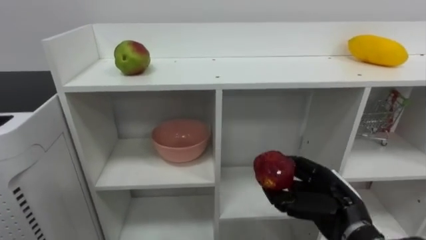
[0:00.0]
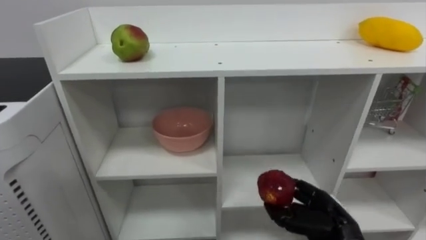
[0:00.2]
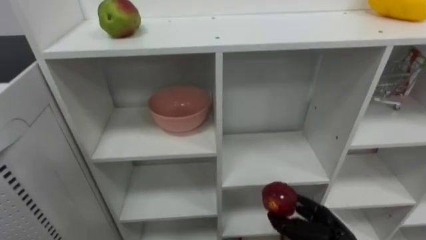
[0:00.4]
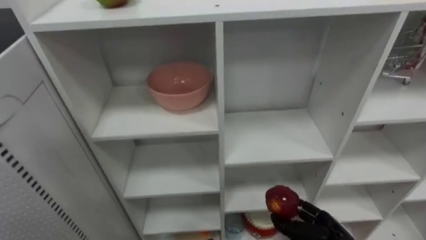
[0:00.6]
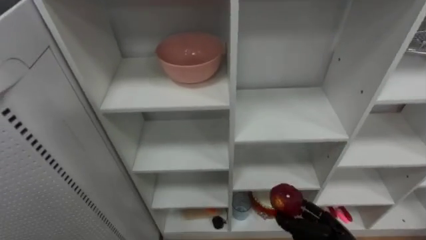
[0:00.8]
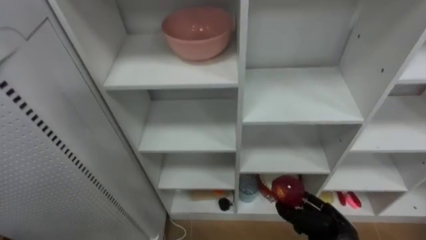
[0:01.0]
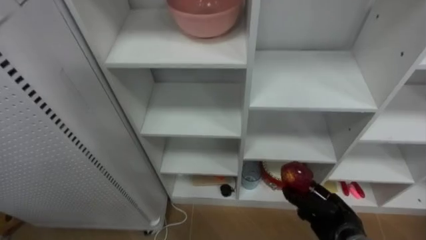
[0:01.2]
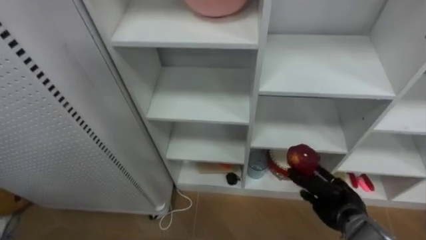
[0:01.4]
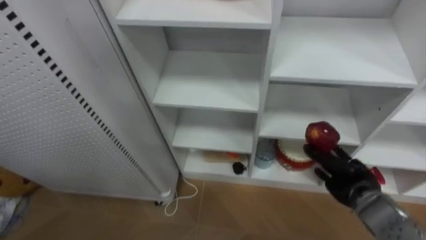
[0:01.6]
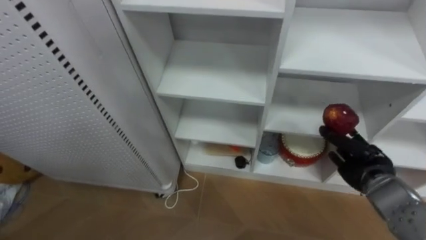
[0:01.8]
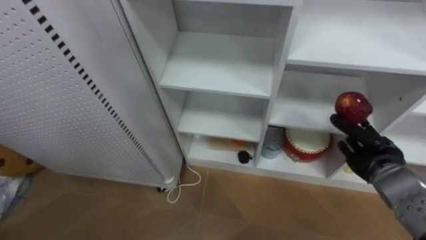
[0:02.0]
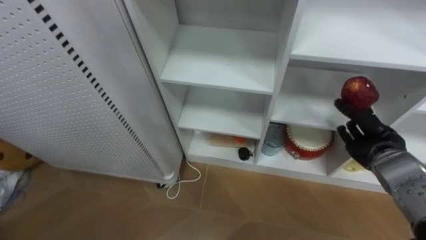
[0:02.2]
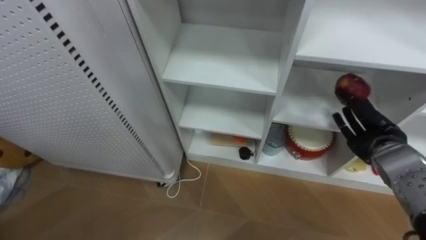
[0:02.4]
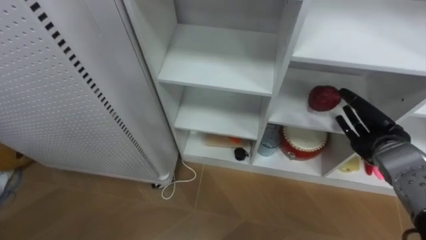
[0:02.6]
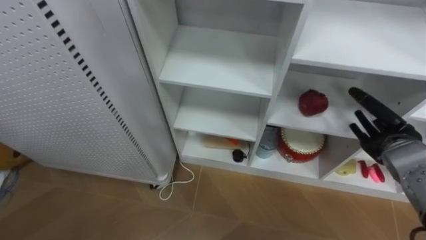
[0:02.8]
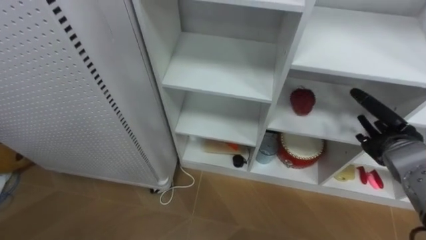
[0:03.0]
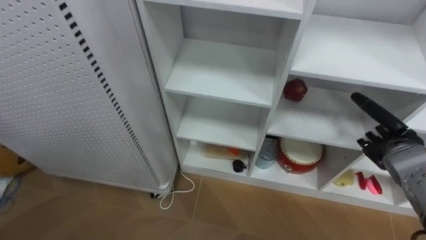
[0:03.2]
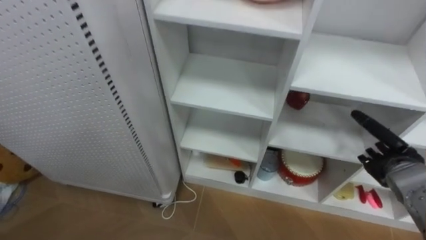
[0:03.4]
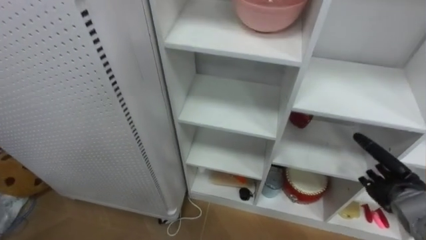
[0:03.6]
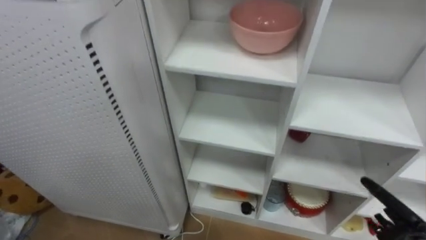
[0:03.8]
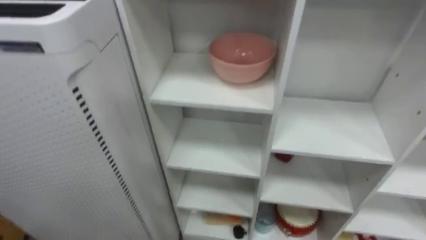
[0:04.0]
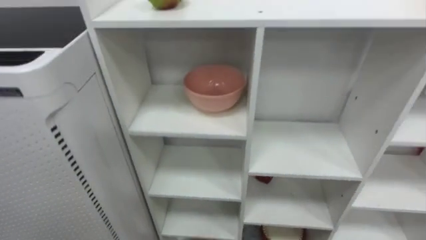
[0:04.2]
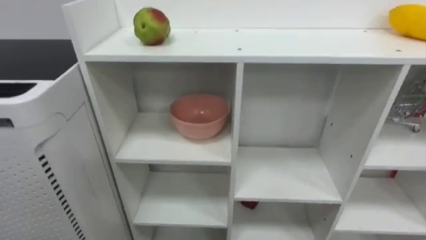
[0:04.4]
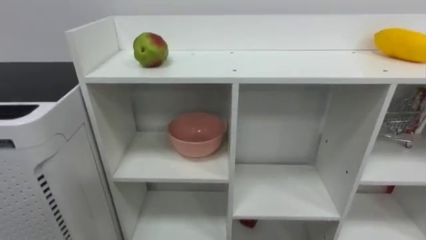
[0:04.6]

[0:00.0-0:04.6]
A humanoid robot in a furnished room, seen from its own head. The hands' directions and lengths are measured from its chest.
Task of the whole recording: Put the apple in the cell in the second column from the left and the second row from the top.
0:00.0 to 0:01.6: The right hand moves forward and to the right, some 10 cm, and travels downward and back again, some 10 cm each way.
0:01.6 to 0:03.0: The right hand travels upward and to the right by roughly 10 cm, and opens.

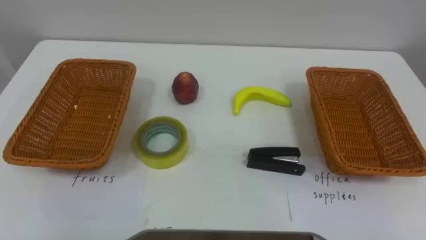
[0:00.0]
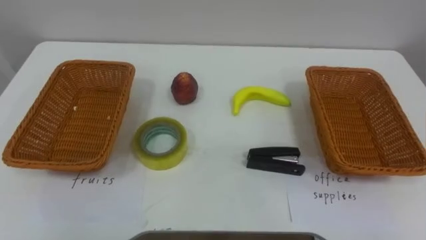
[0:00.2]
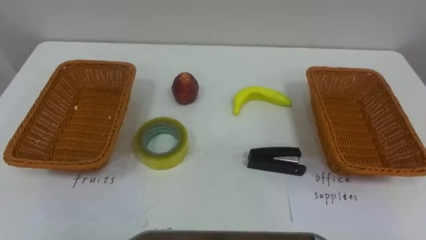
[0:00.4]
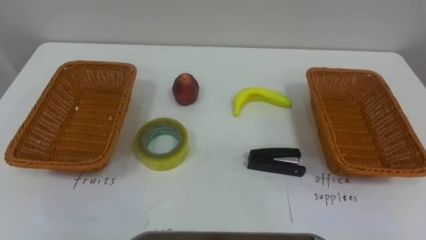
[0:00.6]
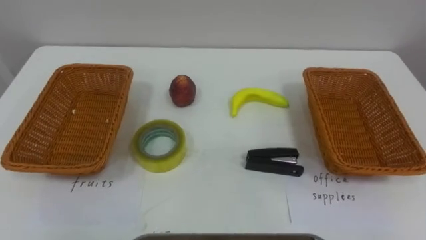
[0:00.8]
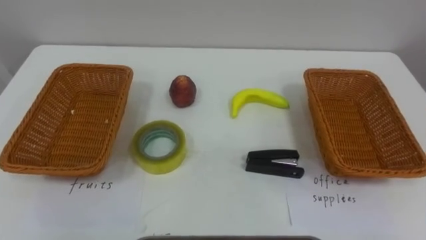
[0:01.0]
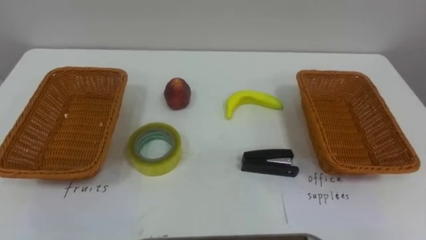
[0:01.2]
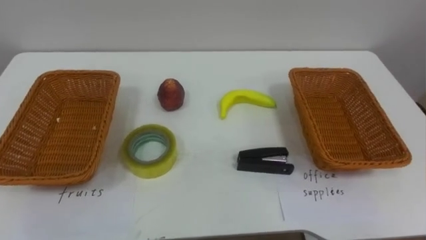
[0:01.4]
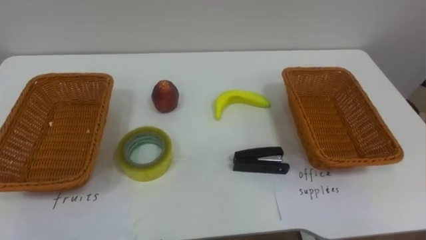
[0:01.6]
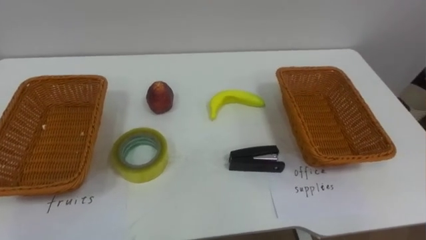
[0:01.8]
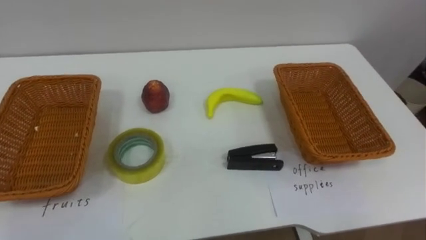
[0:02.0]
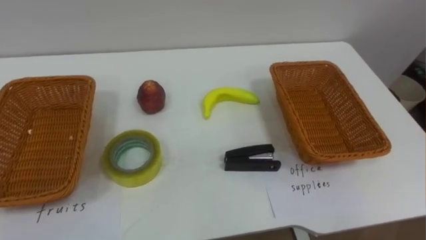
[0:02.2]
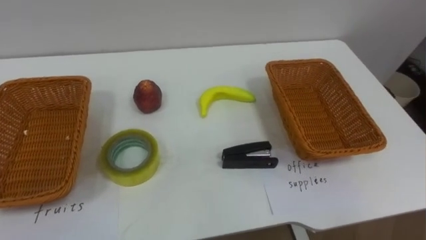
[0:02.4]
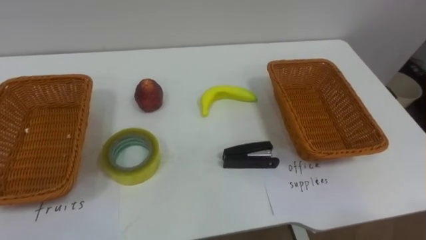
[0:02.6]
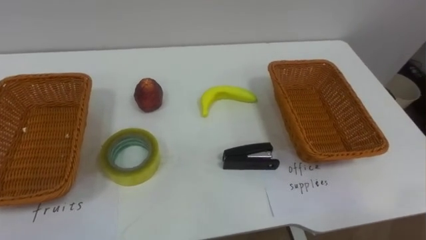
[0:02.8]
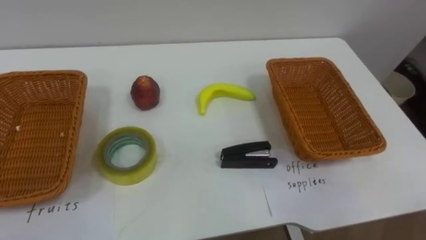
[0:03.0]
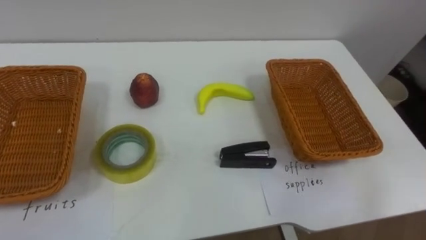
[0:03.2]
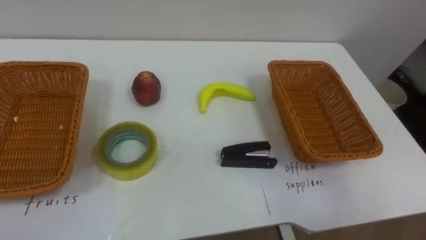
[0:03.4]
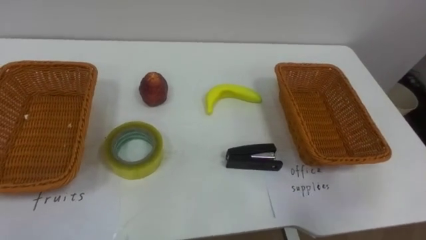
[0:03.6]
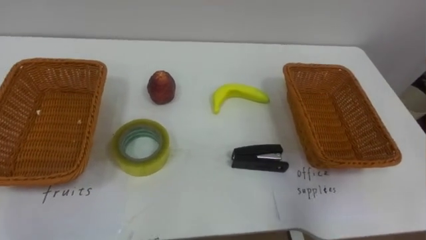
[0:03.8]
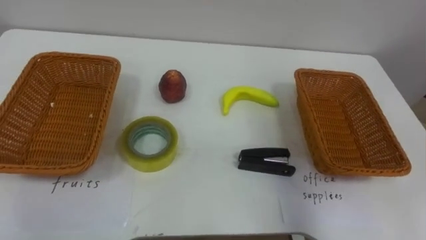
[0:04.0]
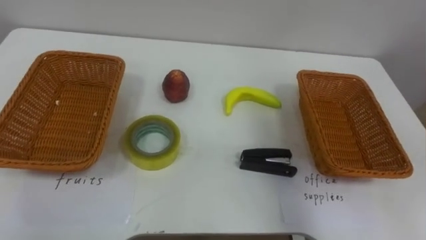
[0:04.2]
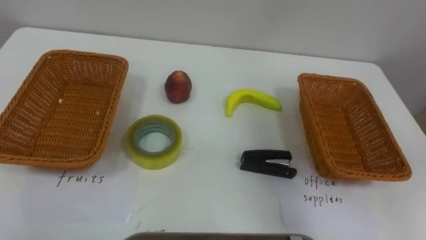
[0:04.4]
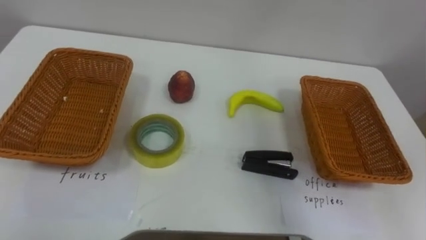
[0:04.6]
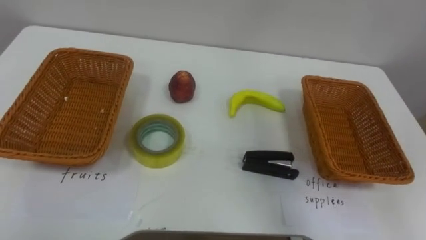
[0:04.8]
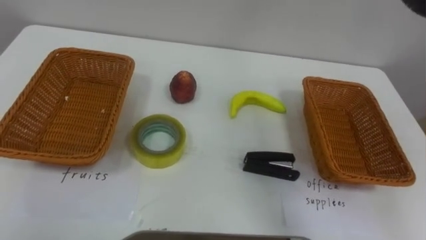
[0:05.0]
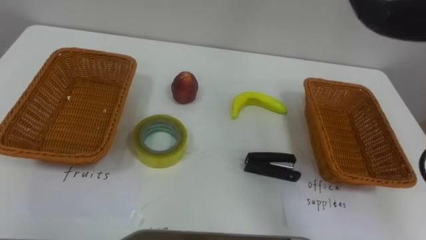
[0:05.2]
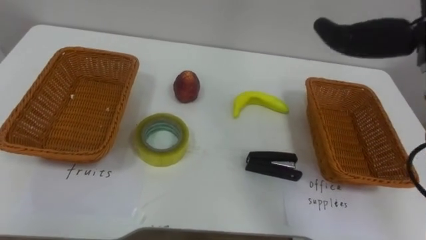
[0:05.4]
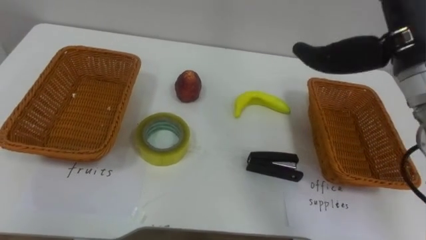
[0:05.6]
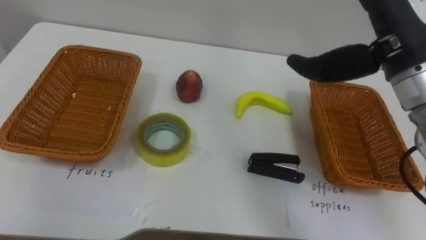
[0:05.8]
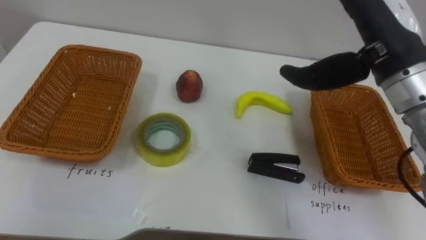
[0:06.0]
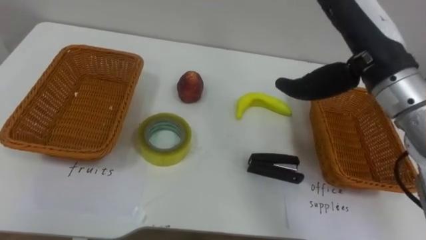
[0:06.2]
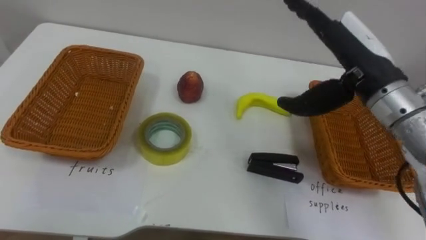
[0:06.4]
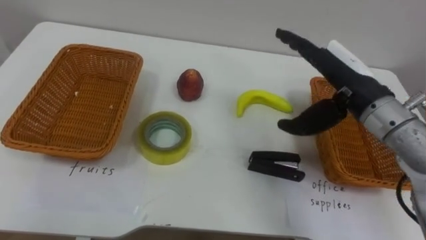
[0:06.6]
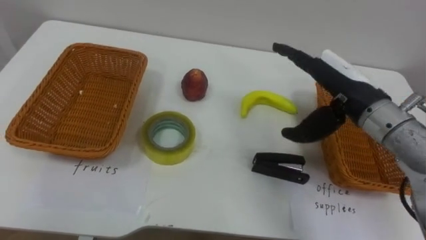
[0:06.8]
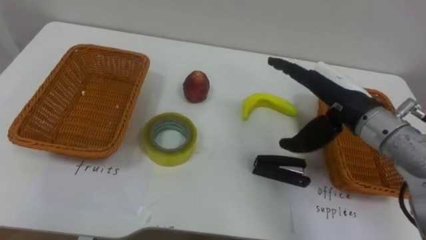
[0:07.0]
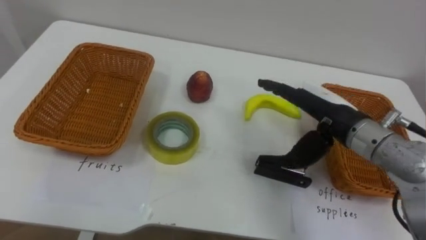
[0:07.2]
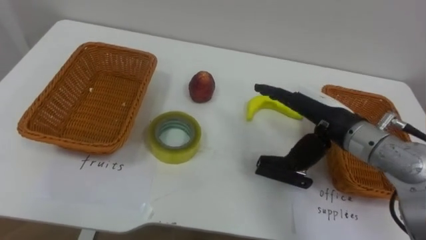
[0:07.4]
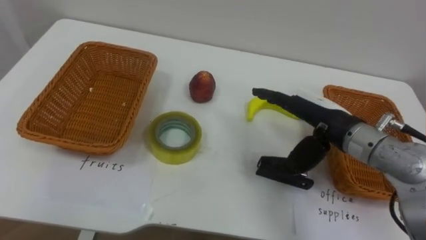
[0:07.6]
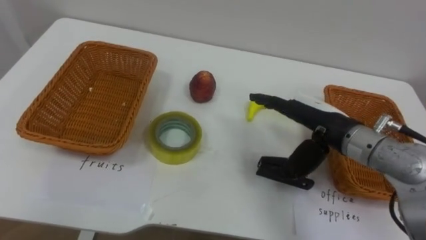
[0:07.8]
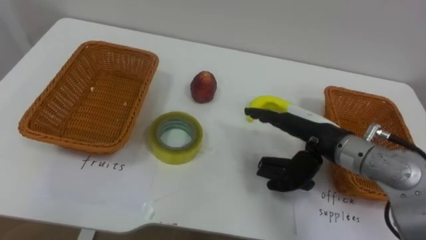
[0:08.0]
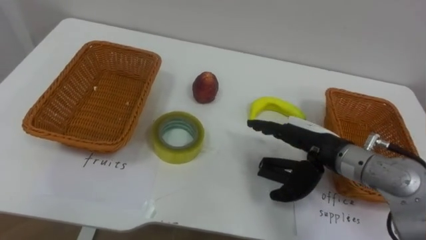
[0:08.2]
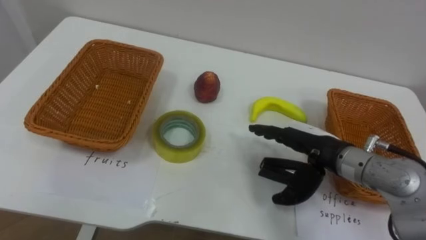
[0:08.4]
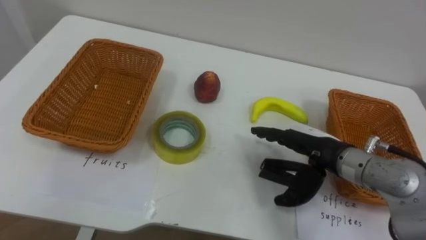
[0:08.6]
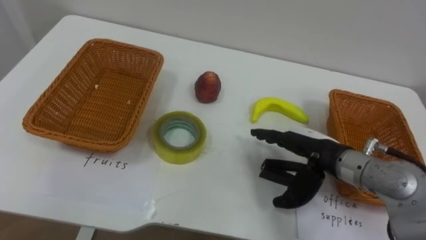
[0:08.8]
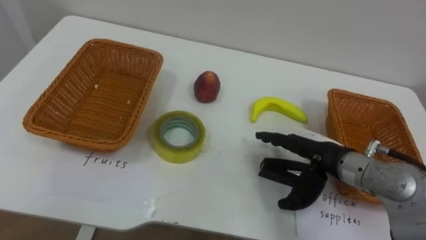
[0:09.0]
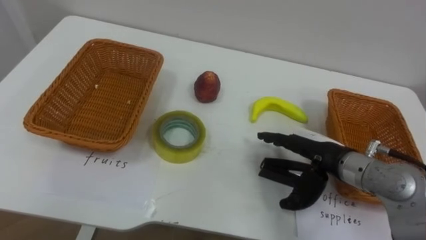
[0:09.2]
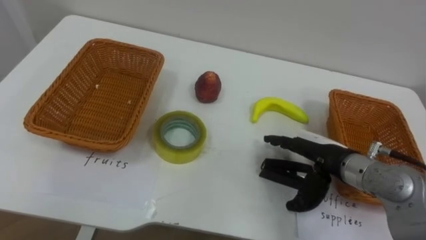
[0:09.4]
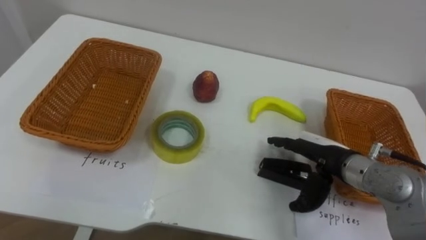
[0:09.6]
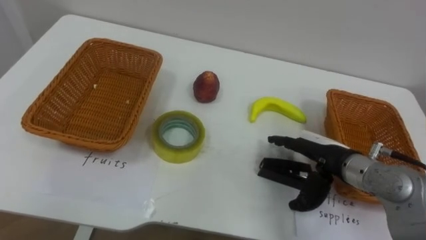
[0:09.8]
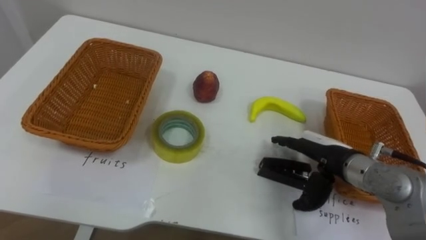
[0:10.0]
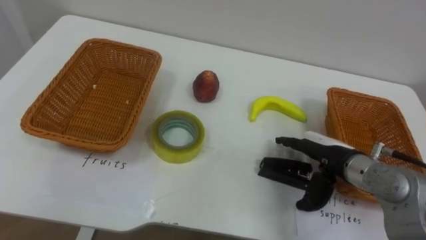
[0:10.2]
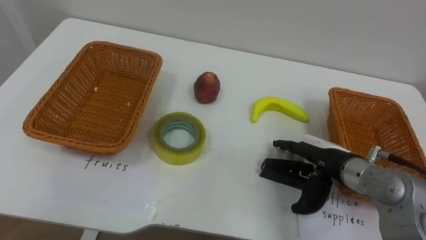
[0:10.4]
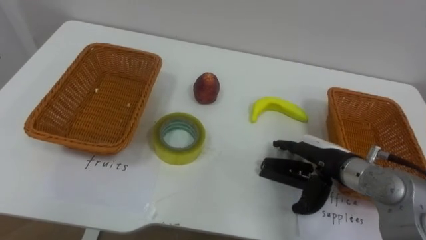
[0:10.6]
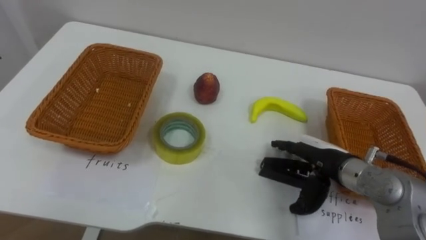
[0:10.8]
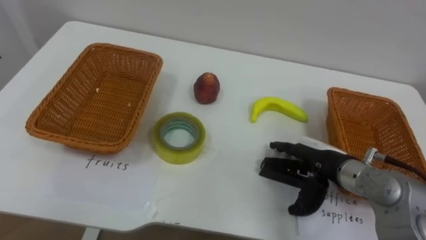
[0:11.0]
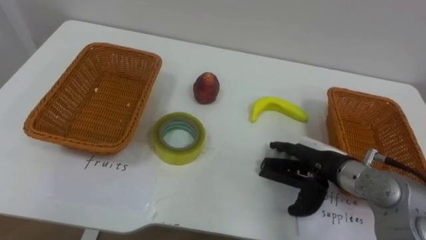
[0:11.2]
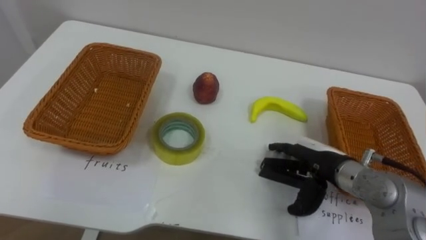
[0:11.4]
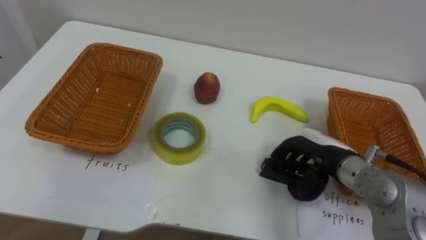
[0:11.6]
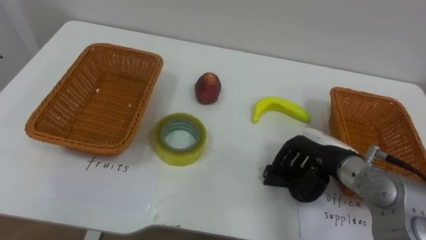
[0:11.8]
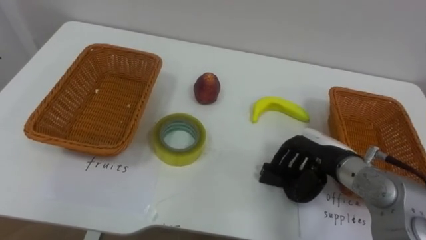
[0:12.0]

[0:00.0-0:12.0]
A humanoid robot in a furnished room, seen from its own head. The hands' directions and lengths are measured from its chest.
Task of the whole recording: Separate the items on the table and place them into the two baskets.
0:06.0 to 0:07.6: The right hand travels downward by about 15 cm.
0:07.6 to 0:09.0: The right hand shifts roughly 5 cm downward.
0:10.4 to 0:12.0: The right hand closes.
